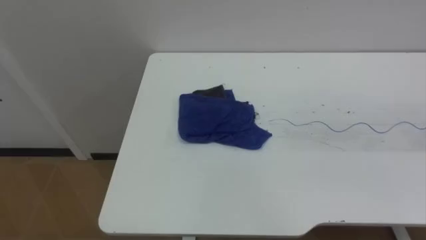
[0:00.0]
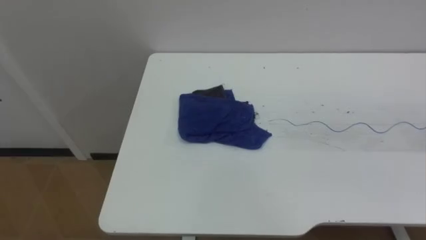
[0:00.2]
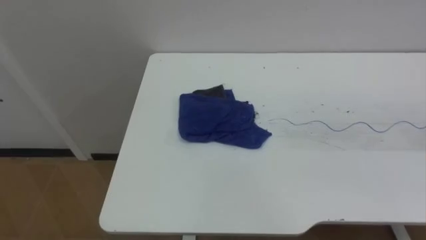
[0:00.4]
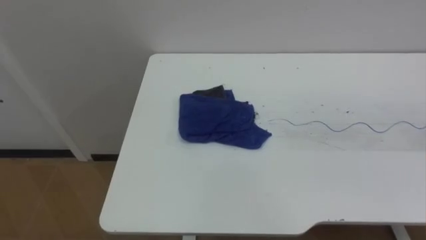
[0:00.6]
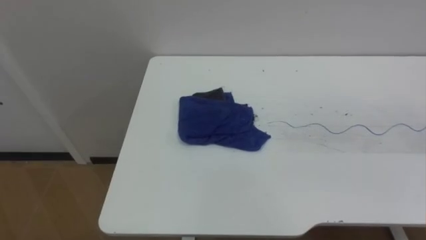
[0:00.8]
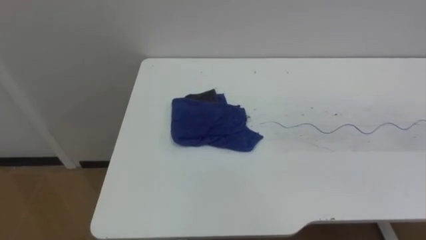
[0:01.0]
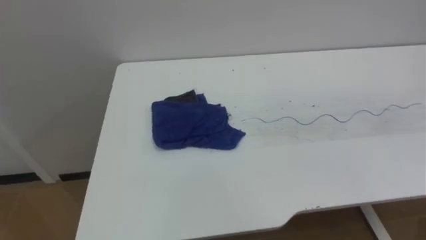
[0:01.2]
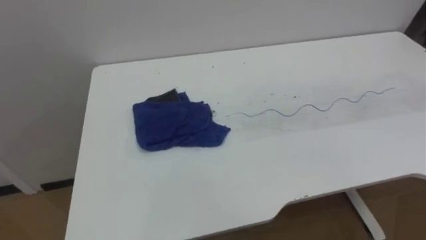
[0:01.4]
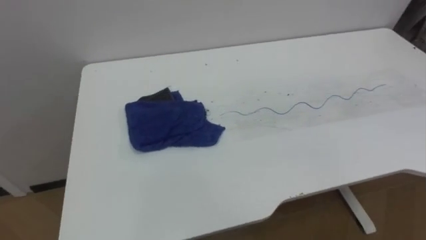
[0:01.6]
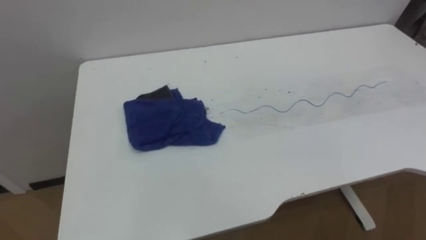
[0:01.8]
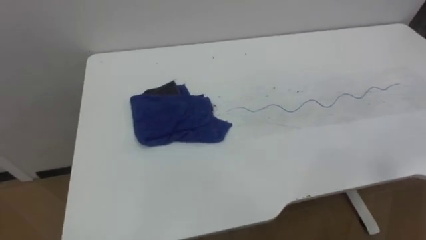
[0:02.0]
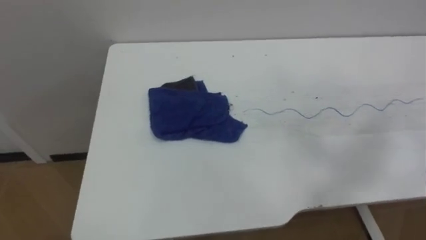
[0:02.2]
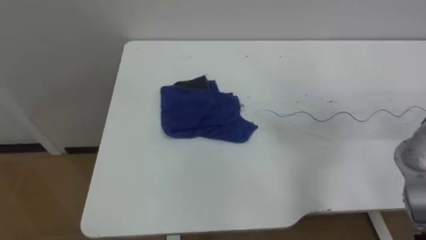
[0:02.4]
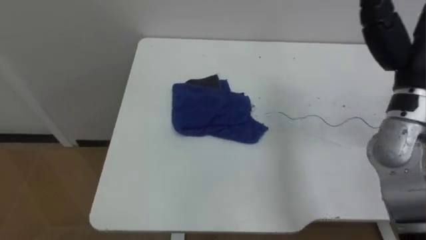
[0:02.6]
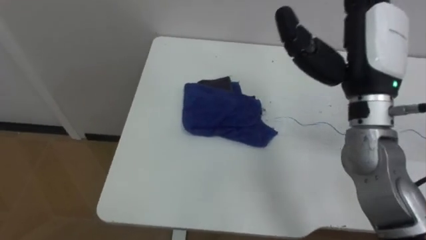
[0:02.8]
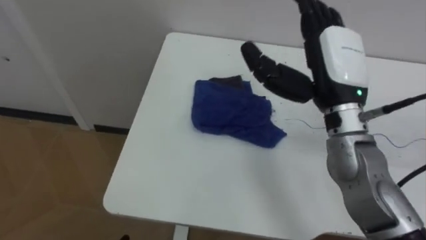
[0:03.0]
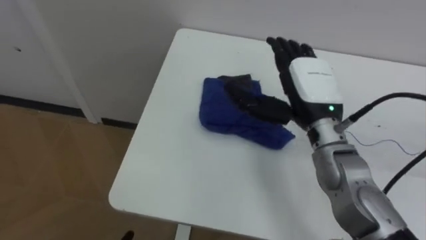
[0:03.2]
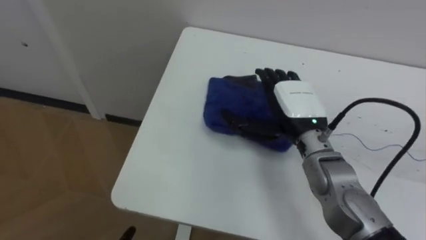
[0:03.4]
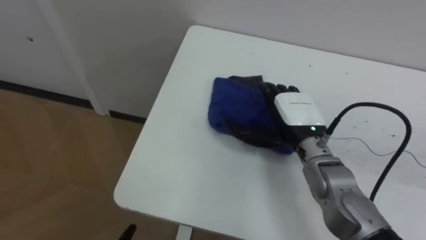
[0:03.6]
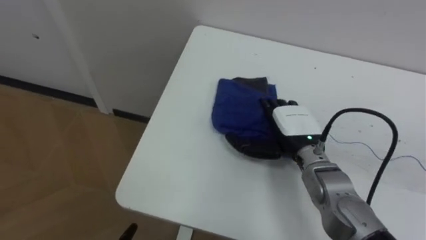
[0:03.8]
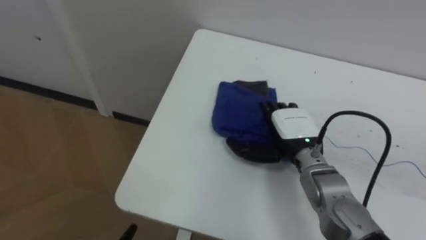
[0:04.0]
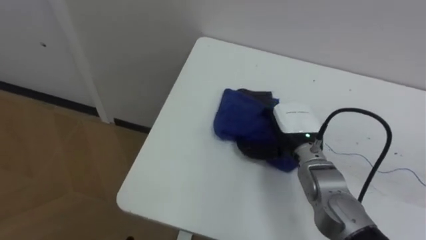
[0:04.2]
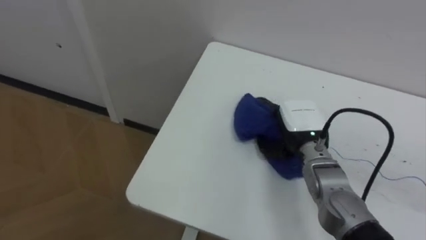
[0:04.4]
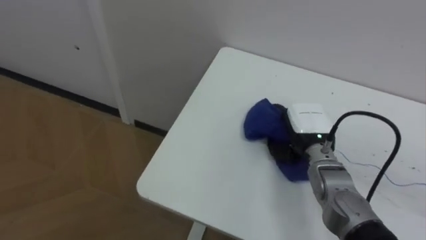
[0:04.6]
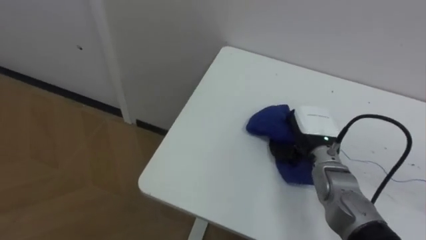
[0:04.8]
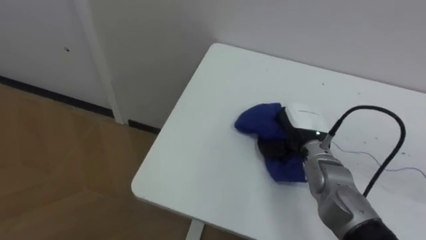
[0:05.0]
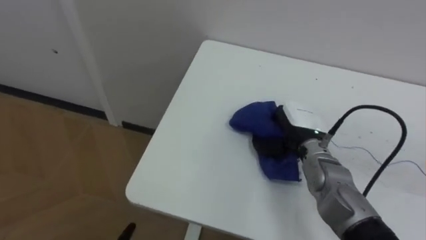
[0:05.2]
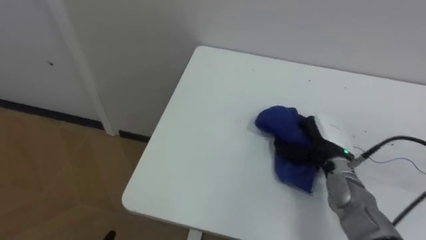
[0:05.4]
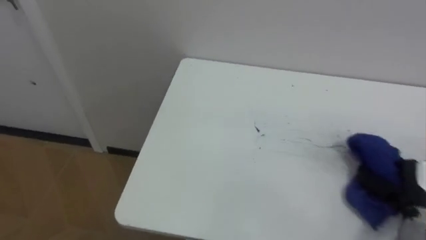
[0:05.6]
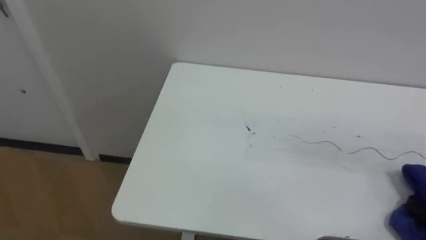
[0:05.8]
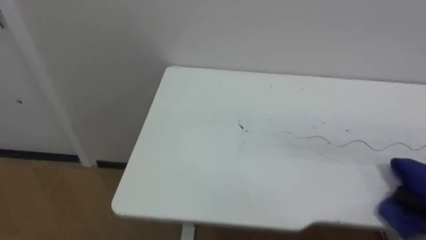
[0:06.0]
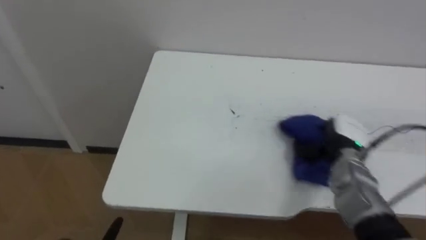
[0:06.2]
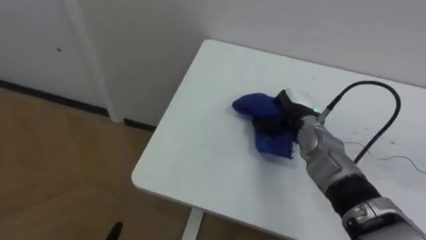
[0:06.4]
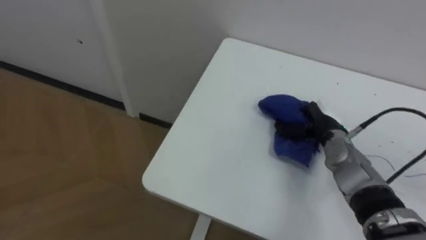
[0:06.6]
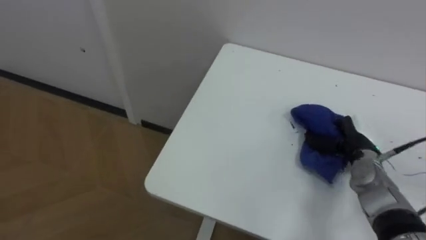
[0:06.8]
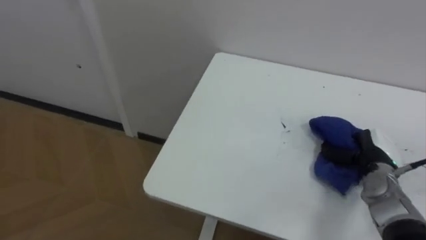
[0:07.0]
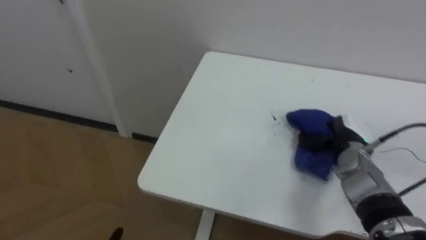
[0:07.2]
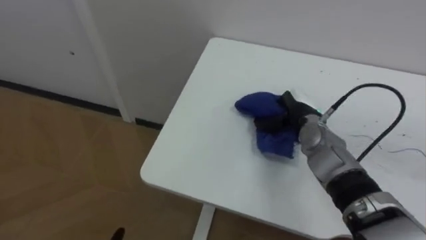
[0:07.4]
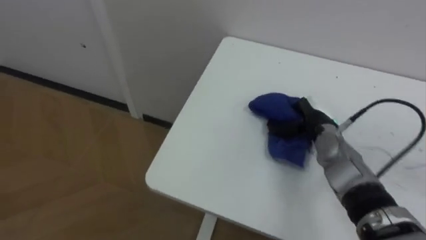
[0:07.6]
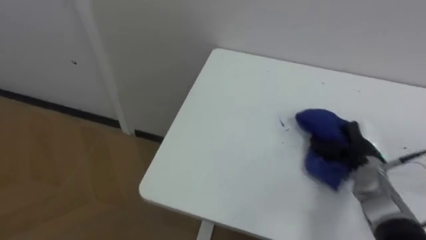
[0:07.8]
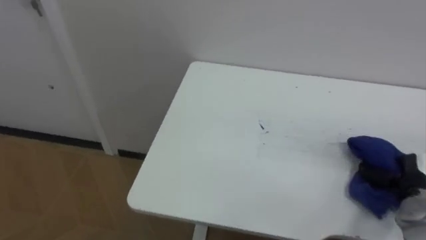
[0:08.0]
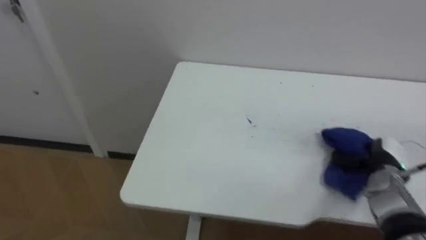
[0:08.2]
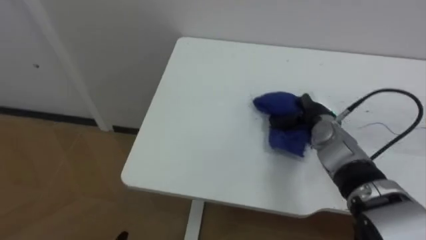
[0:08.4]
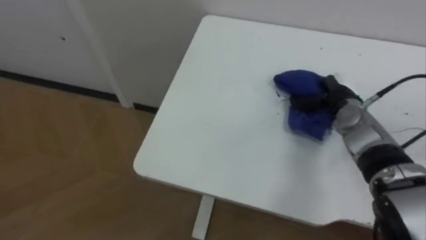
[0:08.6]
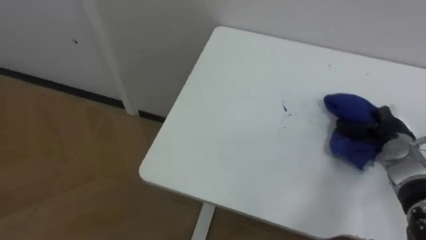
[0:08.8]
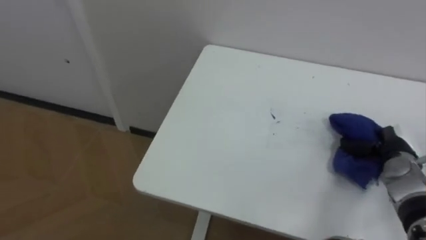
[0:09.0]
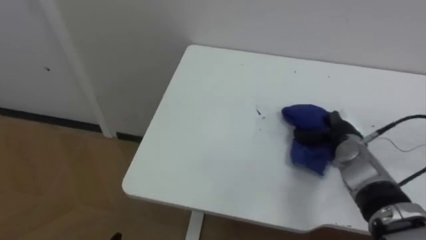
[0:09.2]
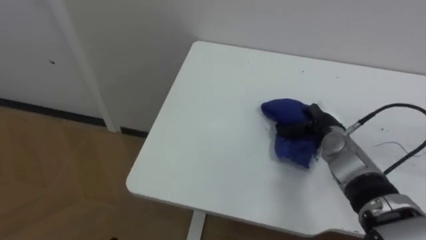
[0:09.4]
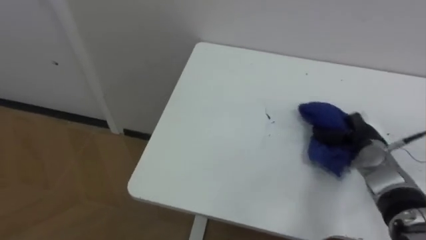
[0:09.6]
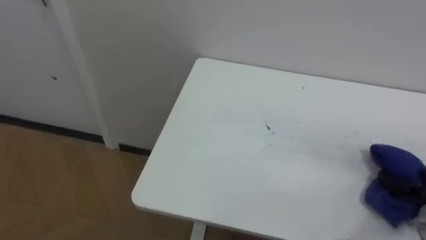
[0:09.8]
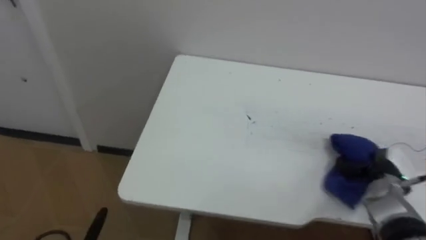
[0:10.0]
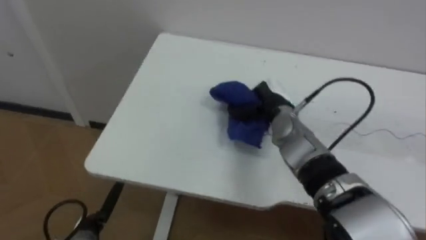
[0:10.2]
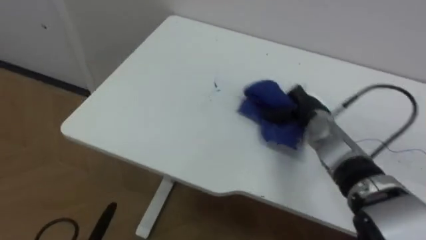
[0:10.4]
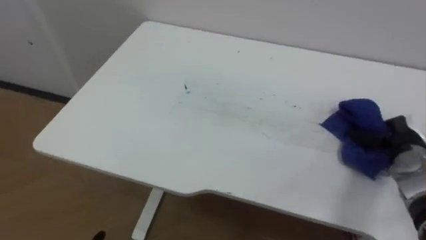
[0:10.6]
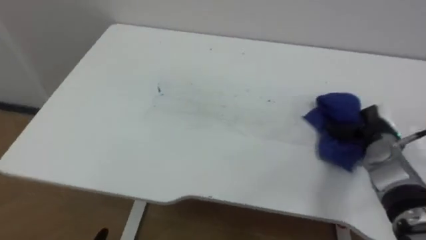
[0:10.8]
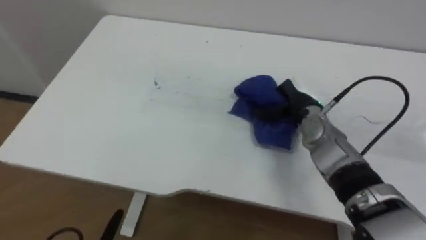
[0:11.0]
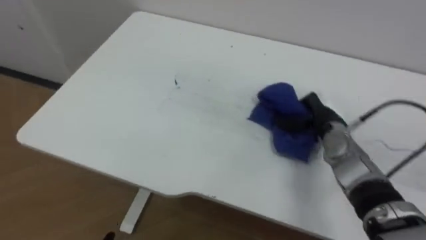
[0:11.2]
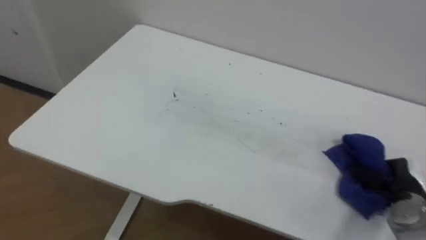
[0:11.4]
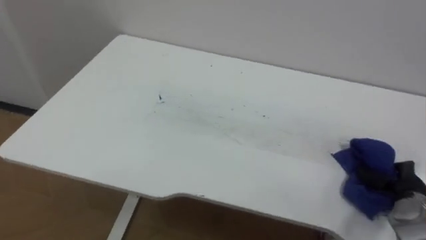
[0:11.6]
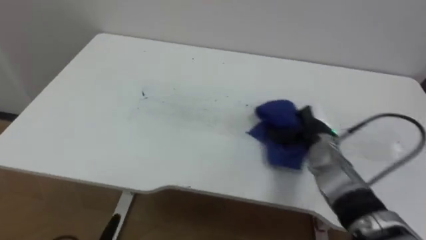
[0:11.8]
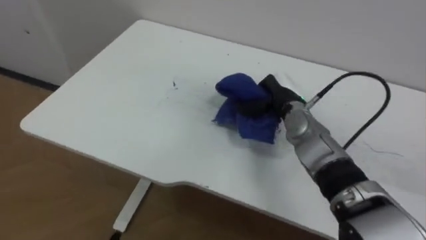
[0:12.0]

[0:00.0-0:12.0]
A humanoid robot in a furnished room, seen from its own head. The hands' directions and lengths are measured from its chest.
Task of the whole recording: Wipe the blue pen marks off the table with the rag.
0:03.0 to 0:04.4: The right hand travels downward by approximately 15 cm, and closes its fingers.
0:07.6 to 0:09.0: The right hand moves left and right over some 20 cm, changing direction 2 times.
0:09.0 to 0:10.4: The right hand moves left and right over some 30 cm, changing direction 3 times.
0:10.4 to 0:12.0: The right hand goes left and right, roughly 25 cm each way, reversing 3 times.

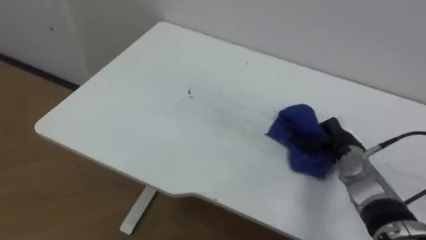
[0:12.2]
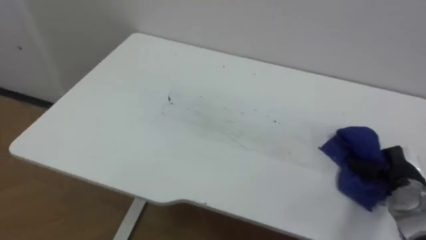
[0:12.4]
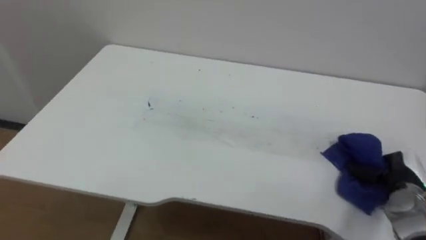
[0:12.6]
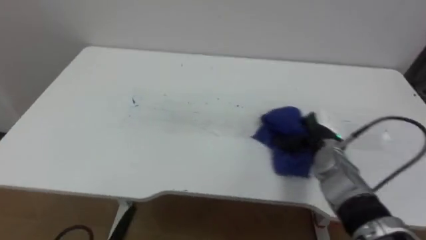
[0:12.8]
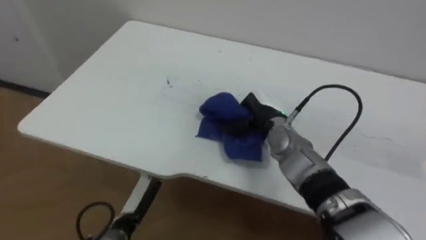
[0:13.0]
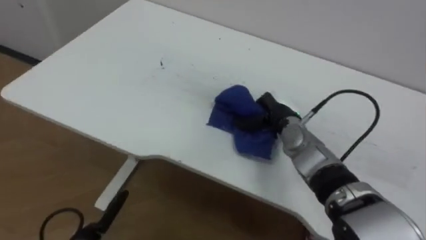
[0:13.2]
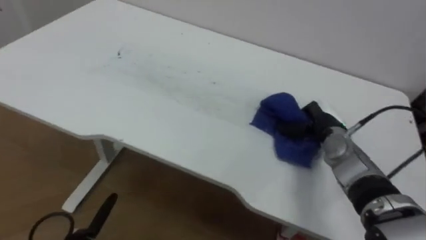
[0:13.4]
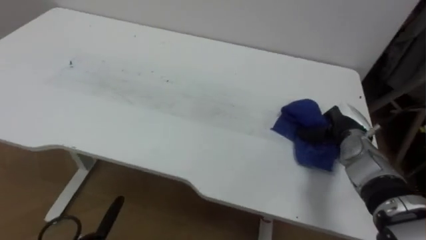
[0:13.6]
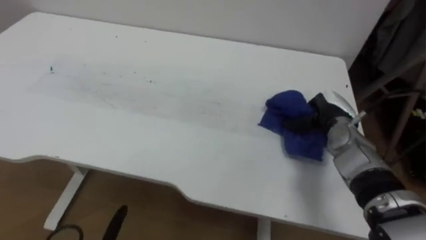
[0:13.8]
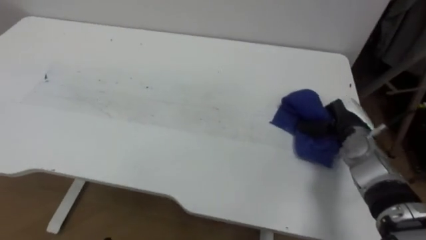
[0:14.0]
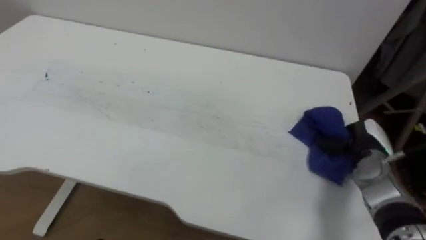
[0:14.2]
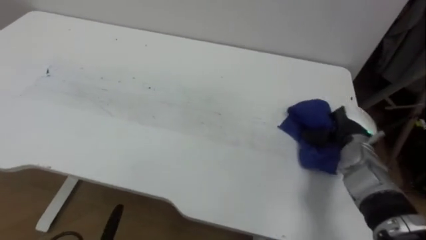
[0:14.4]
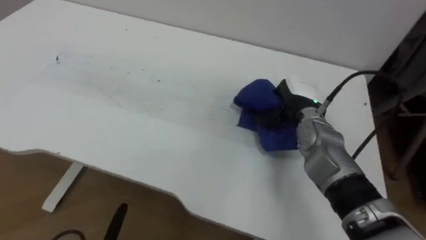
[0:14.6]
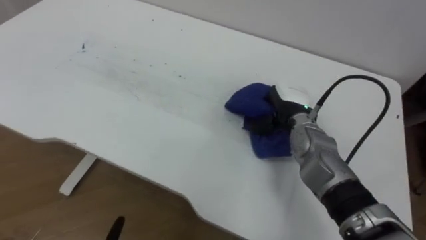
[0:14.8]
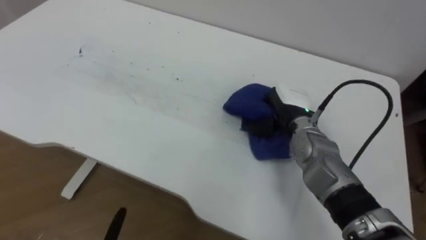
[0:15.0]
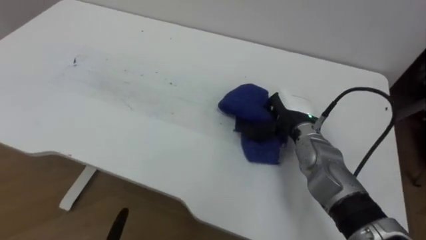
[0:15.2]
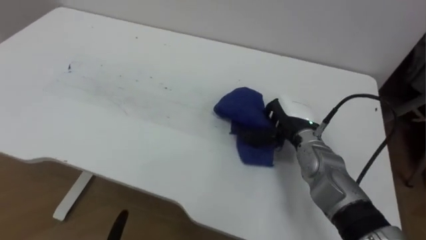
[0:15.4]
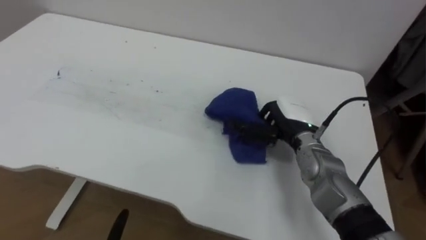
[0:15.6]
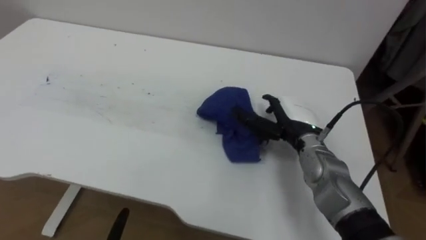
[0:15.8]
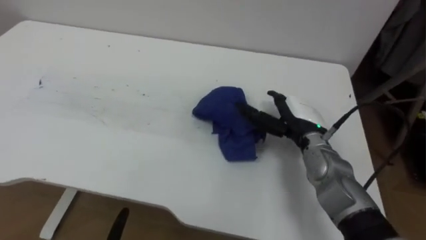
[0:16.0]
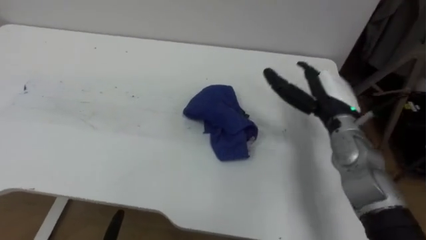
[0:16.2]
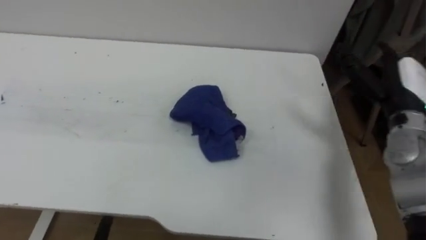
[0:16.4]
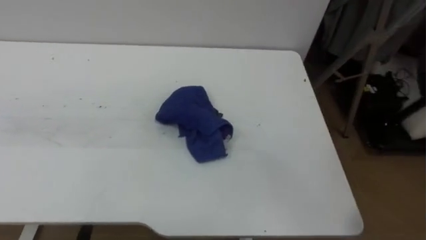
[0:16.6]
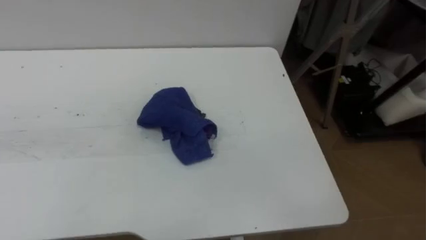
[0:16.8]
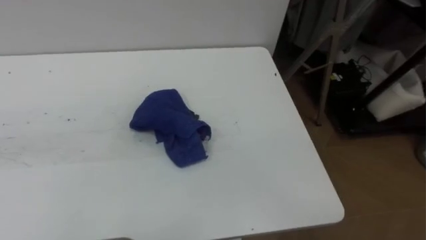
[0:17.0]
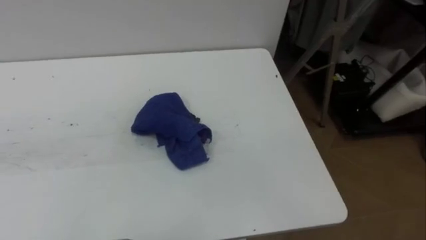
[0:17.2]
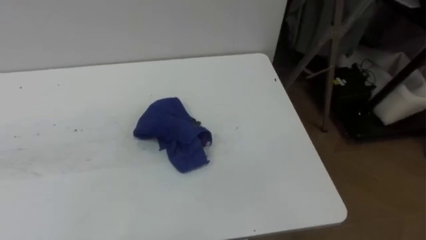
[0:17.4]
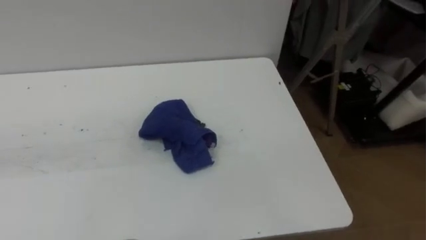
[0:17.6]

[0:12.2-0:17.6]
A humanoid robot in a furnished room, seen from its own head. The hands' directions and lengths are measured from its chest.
Task of the whole recording: Wipe the blue pen marks off the table with the rag.
0:12.2 to 0:13.6: The right hand goes left and right, approximately 30 cm each way, reversing 2 times.
0:13.6 to 0:15.0: The right hand heads to the left, covering about 10 cm.
0:15.0 to 0:16.2: The right hand is displaced to the right by about 5 cm, and opens up.
